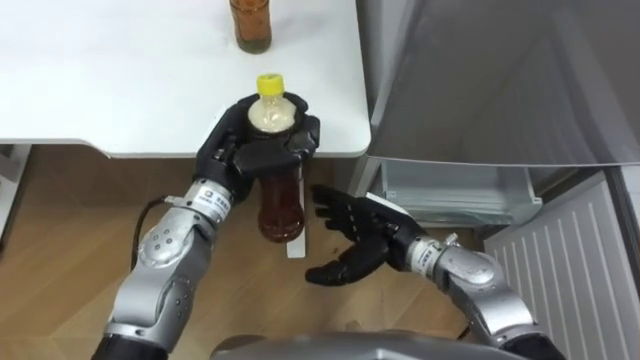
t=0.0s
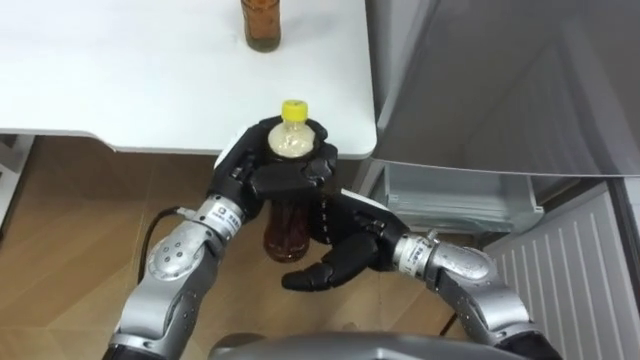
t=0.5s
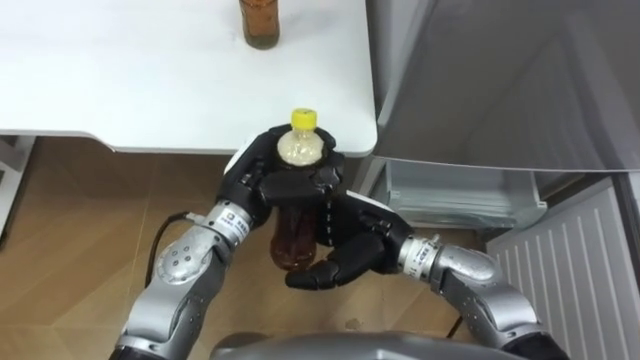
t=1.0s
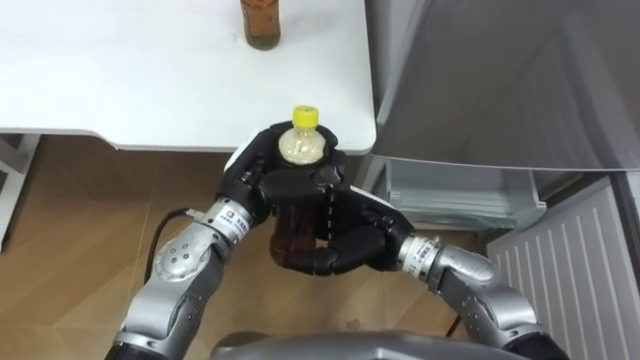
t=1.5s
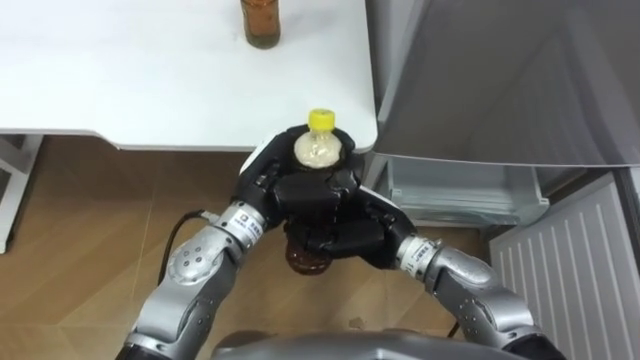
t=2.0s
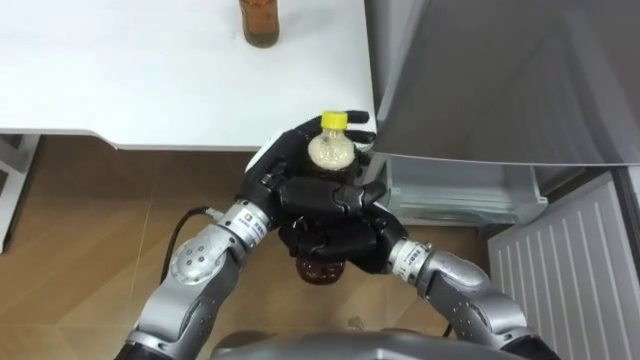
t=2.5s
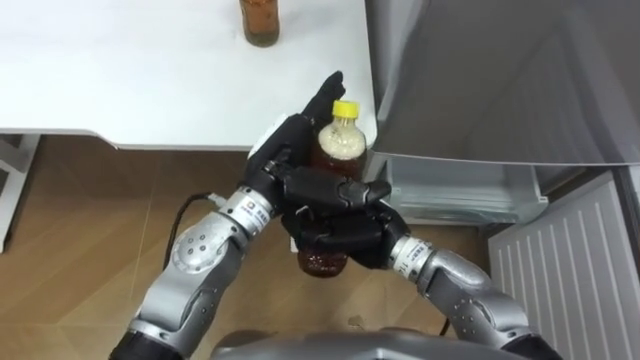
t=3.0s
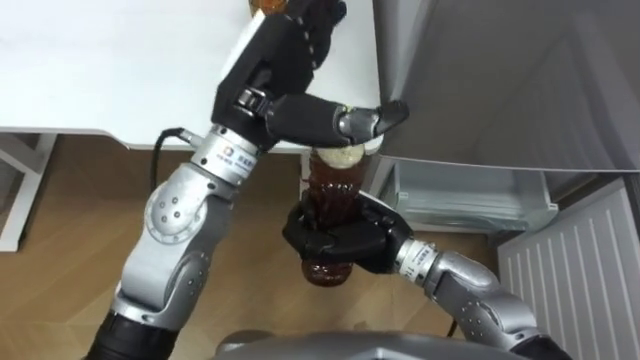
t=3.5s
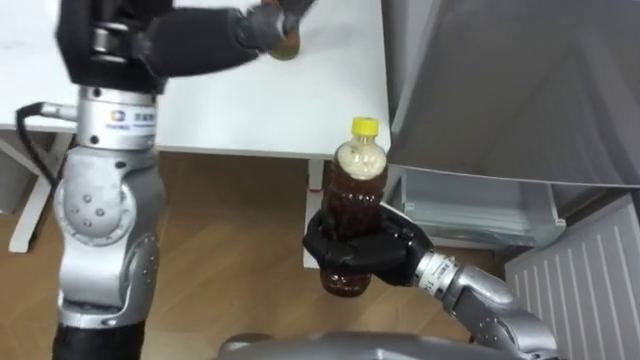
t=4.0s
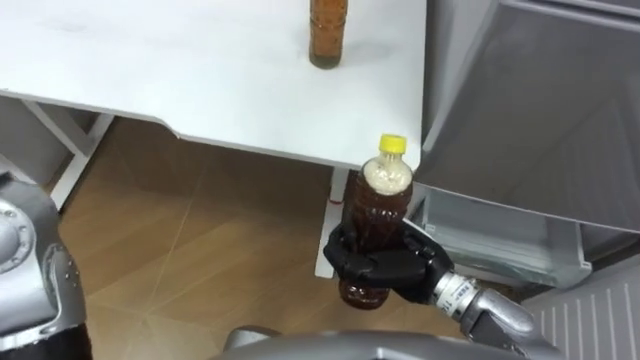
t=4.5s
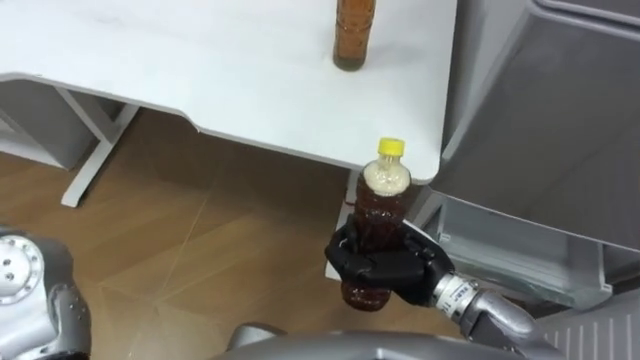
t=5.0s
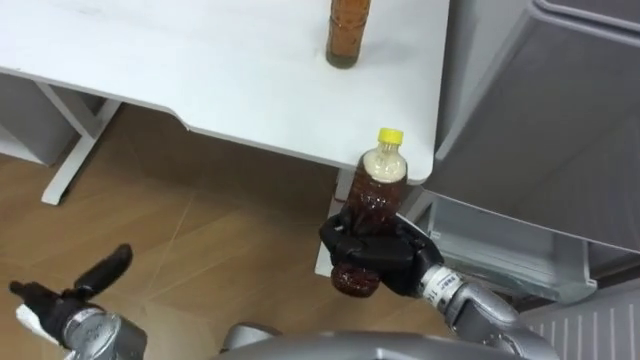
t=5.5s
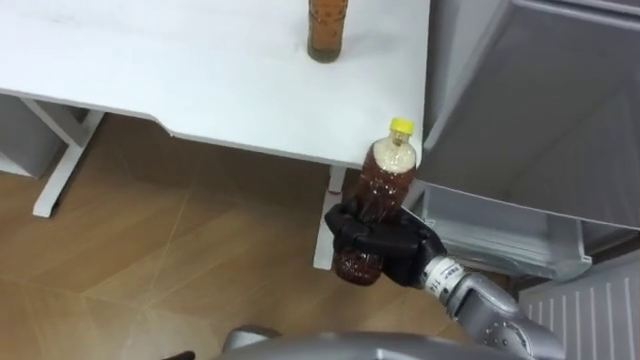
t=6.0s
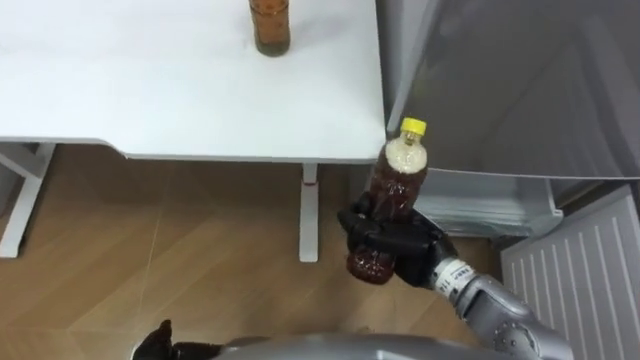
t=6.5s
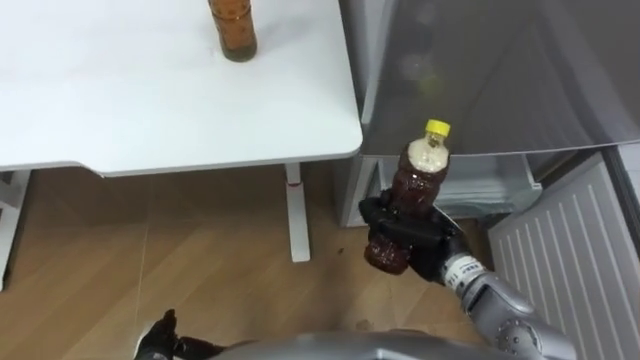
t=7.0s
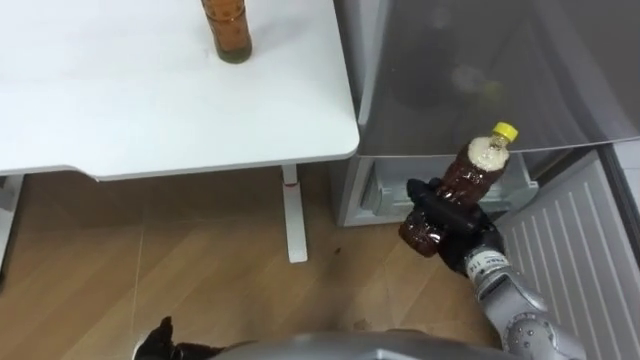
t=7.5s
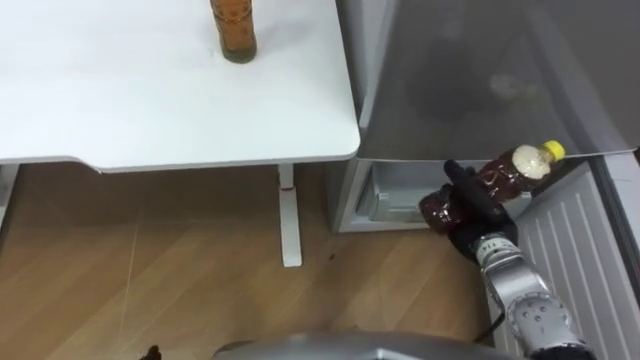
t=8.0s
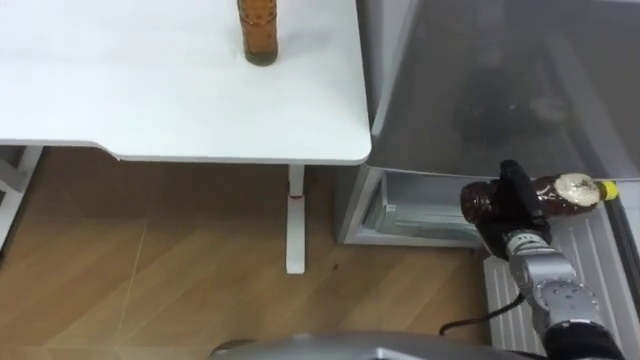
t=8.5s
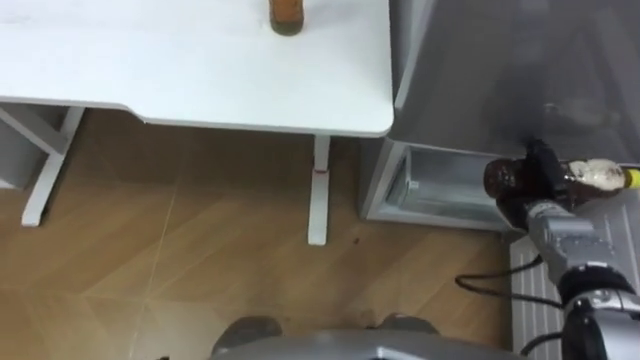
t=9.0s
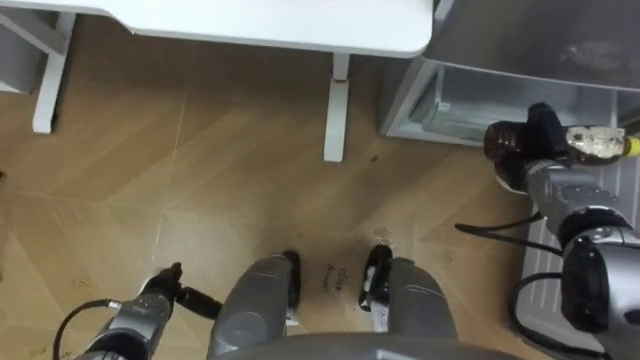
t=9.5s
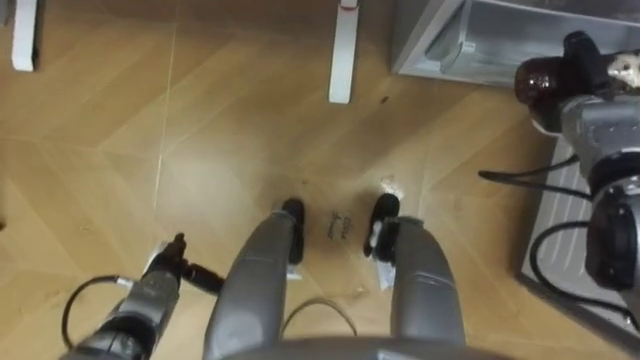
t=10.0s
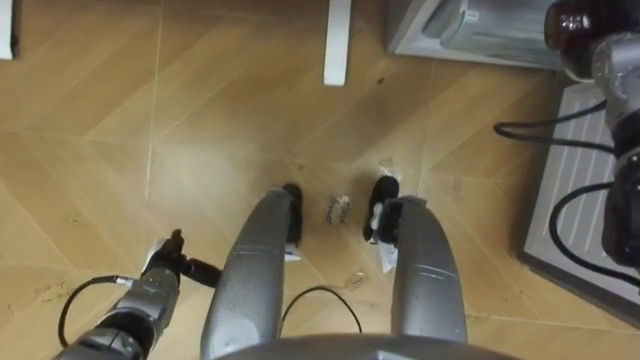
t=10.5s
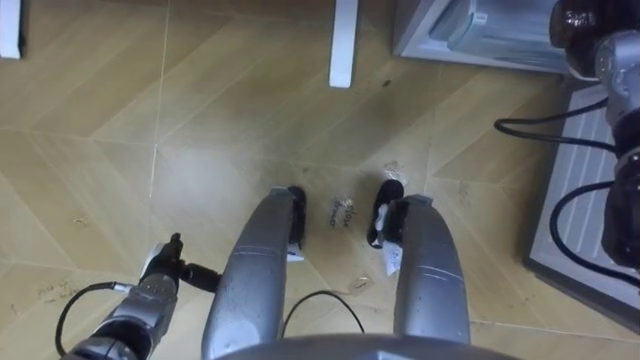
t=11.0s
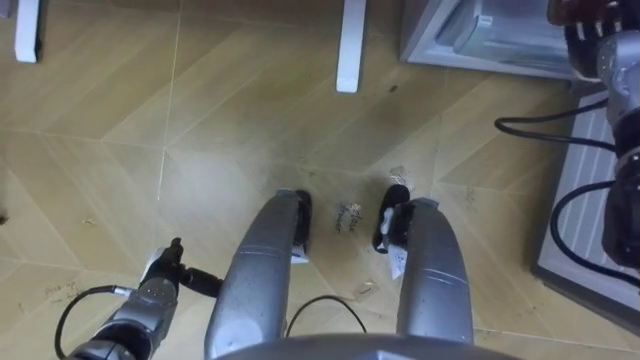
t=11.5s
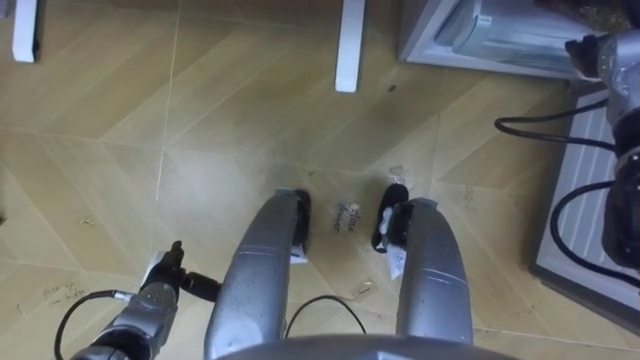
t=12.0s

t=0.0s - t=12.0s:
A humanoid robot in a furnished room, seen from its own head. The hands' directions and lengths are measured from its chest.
Task of the whole recording: Place the drink on the table on the bottom shelf of the refrigerator, then close the drawer and the refrigerator door.
t=0.0s - t=2.0s: The right hand closes. Meanwhile the left hand moves to the right, some 5 cm.
t=2.0s - t=4.0s: The right hand closes its fingers. The left hand is displaced upward and to the left by approximately 25 cm, and opens.
t=6.0s - t=8.0s: The right hand moves to the right, roughly 10 cm.
t=8.0s - t=10.0s: The right hand shifts approximately 20 cm forward, to the right and upward.
t=10.0s - t=12.0s: The right hand is displaced upward by roughly 10 cm, and opens its fingers.

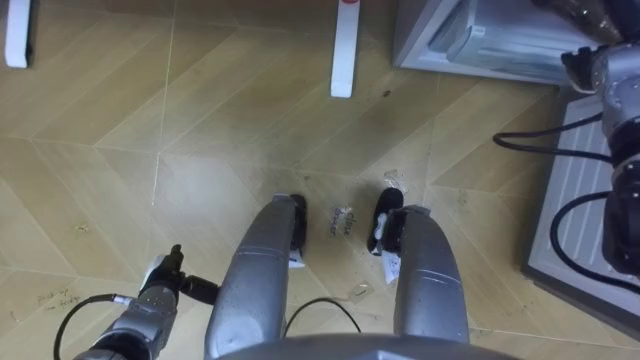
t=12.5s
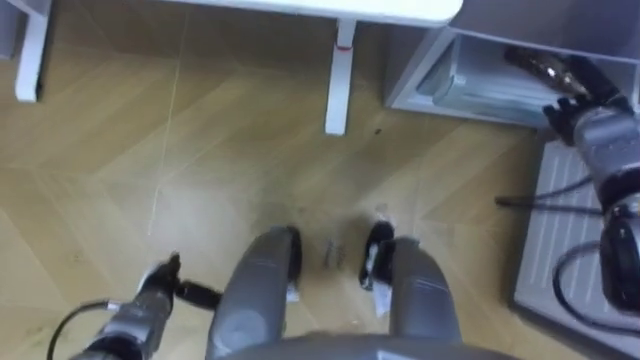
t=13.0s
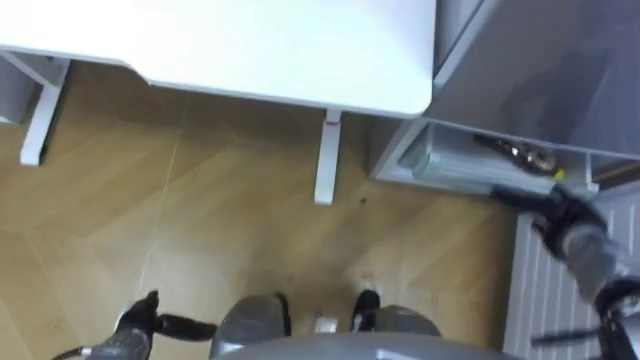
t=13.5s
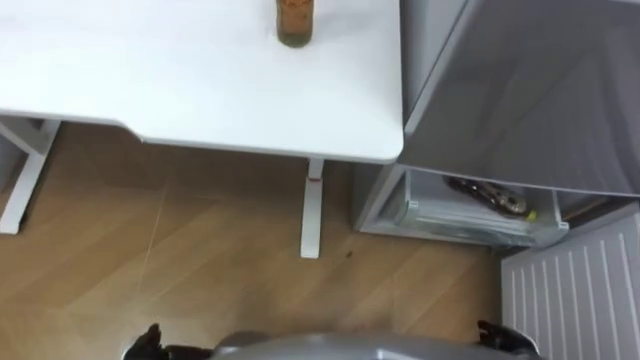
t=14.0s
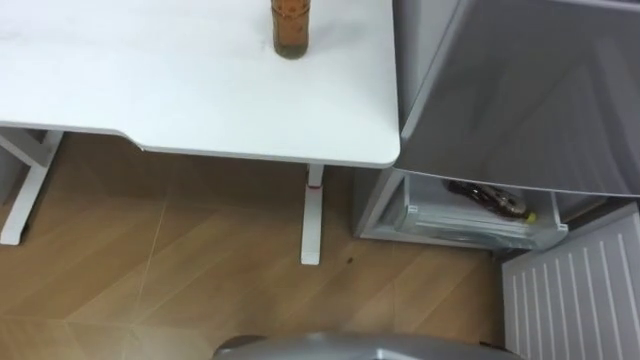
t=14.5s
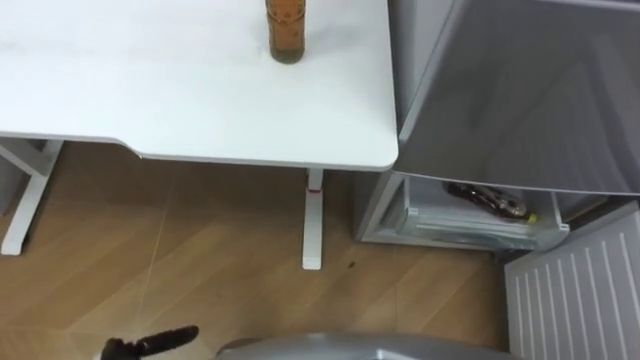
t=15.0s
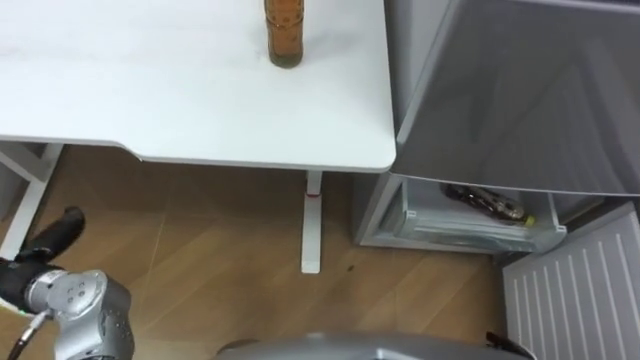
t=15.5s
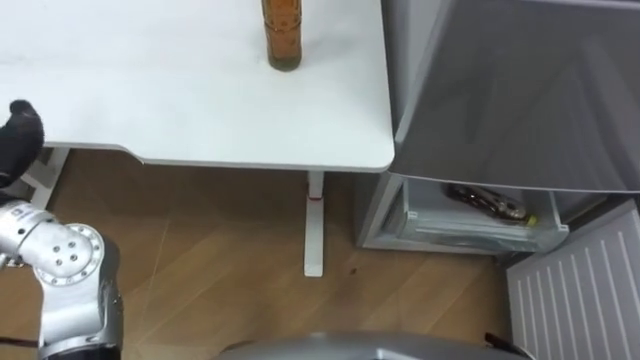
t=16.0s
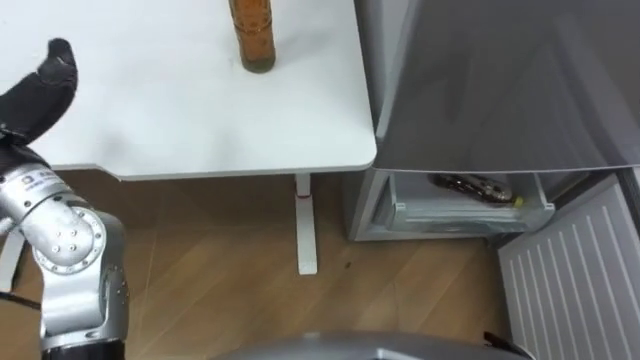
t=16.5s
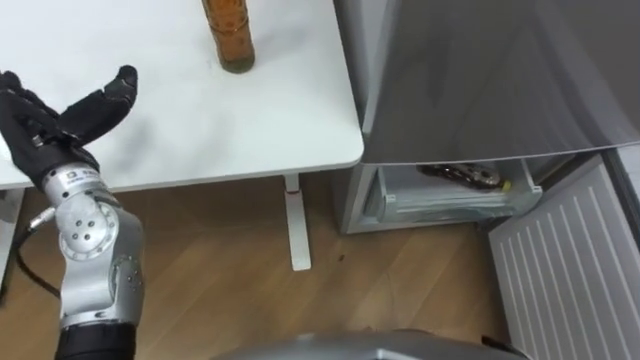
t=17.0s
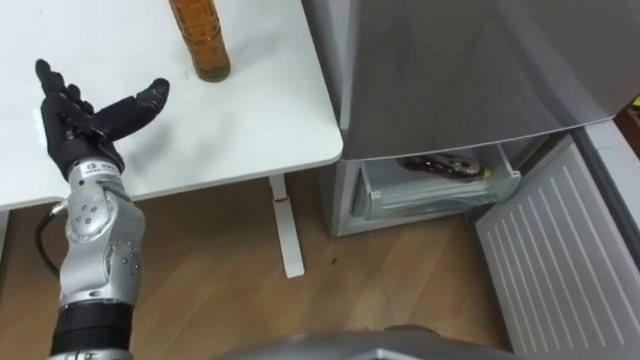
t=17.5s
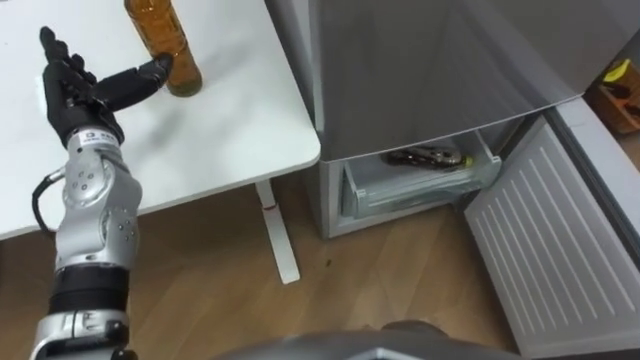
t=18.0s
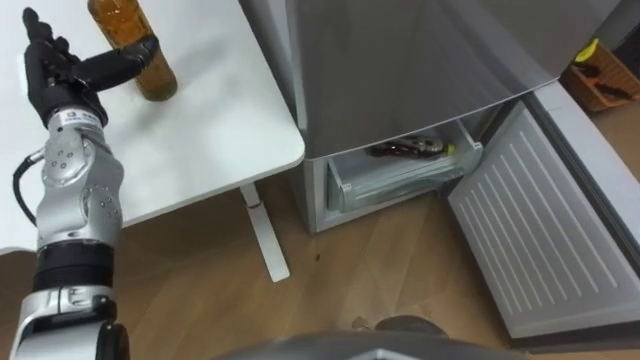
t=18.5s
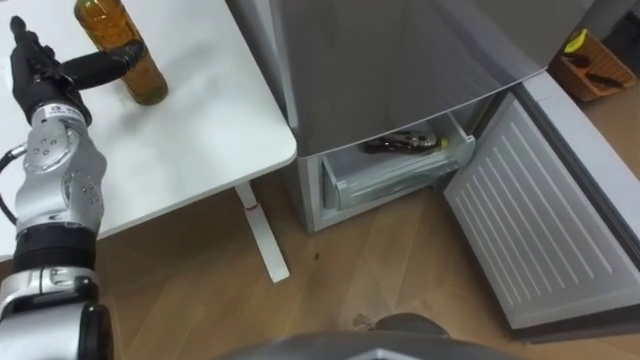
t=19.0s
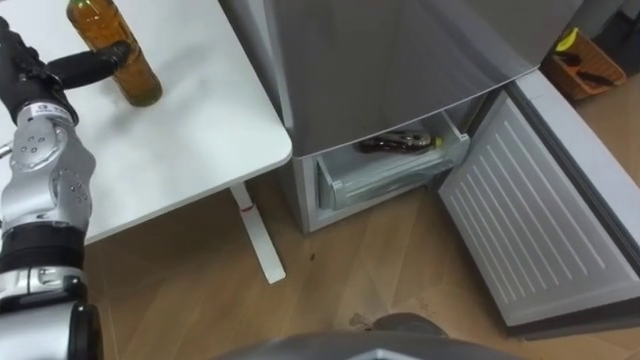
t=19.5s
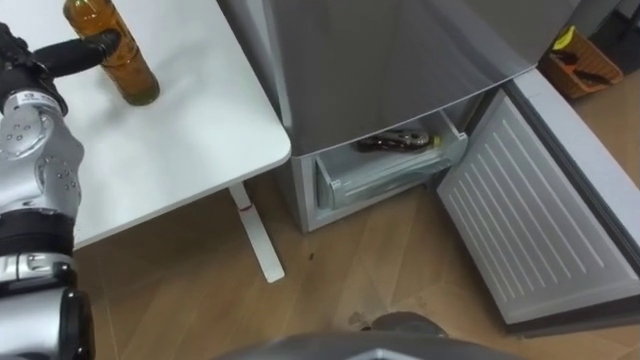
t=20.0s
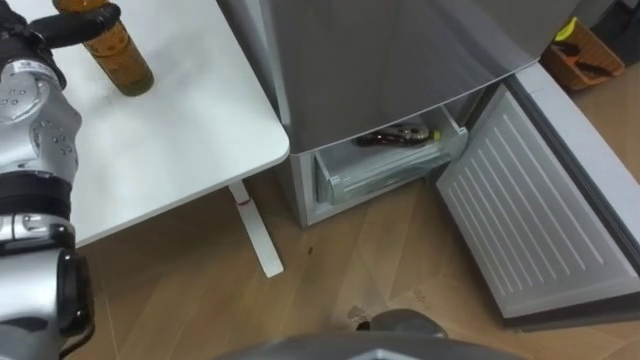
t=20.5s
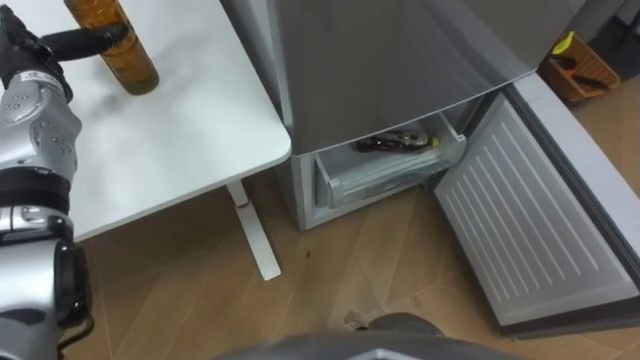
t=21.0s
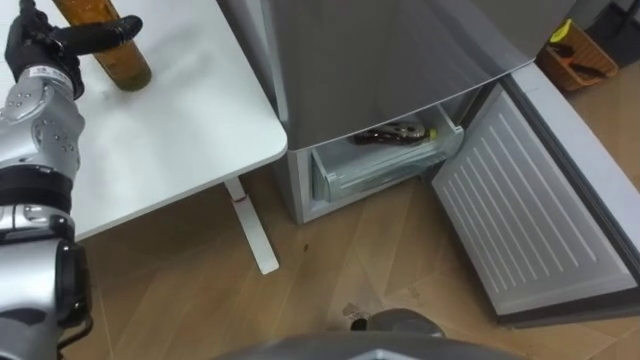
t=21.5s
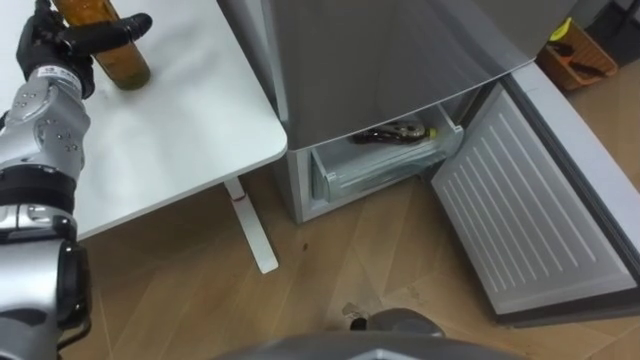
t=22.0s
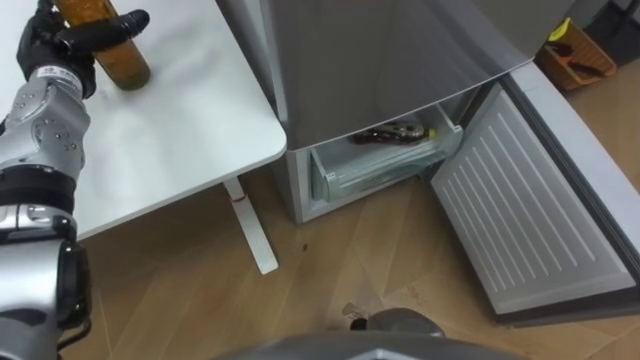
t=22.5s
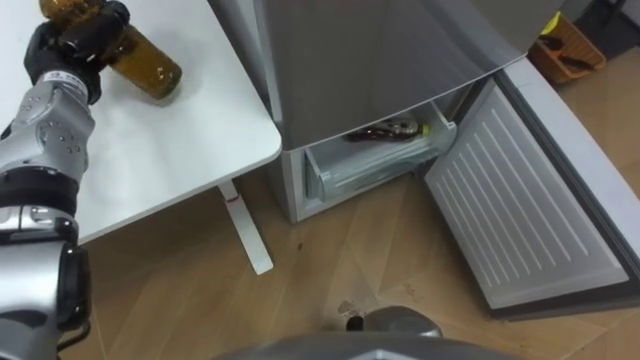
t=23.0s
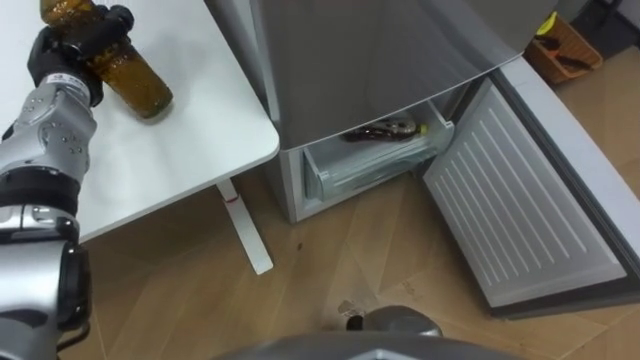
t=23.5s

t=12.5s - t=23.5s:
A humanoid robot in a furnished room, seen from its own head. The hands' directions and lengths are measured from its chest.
Task of the whole recording: Place the drink on the table on the bottom shelf of the refrigerator, then close the drawer and the refrigerator door.
t=18.0s - t=20.0s: The left hand goes approximately 5 cm to the left.
t=21.5s - t=23.5s: The left hand closes up.
